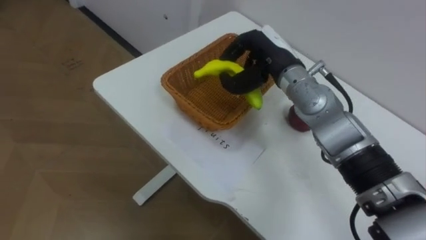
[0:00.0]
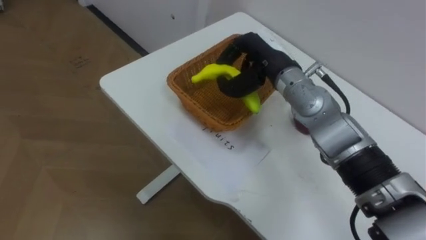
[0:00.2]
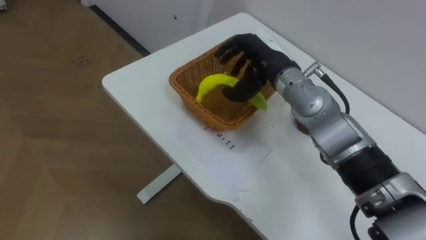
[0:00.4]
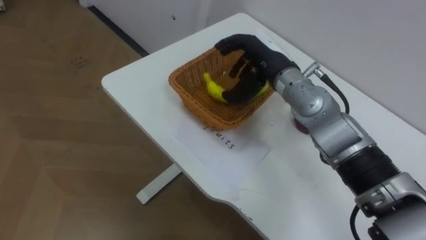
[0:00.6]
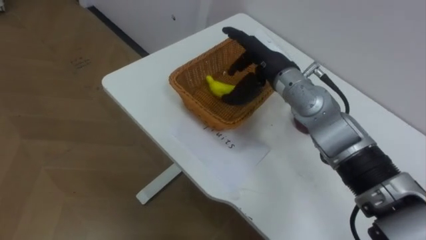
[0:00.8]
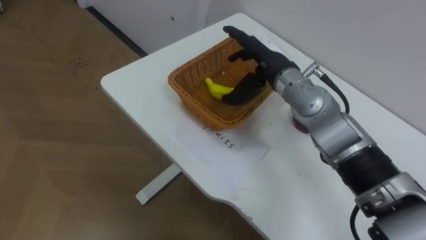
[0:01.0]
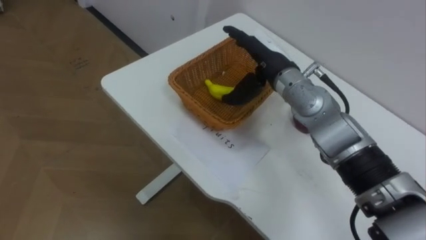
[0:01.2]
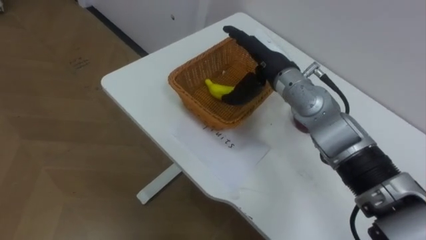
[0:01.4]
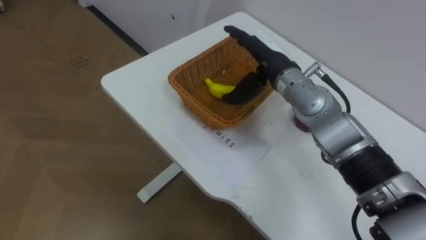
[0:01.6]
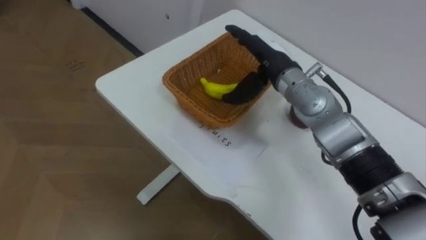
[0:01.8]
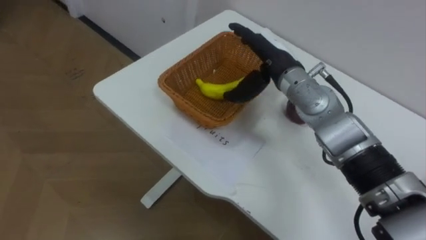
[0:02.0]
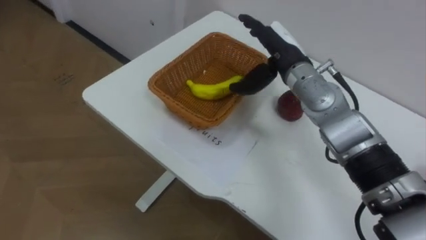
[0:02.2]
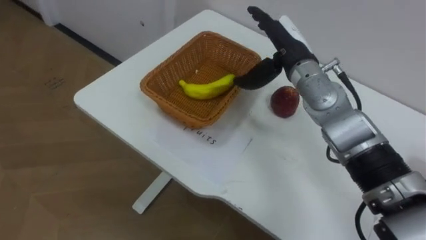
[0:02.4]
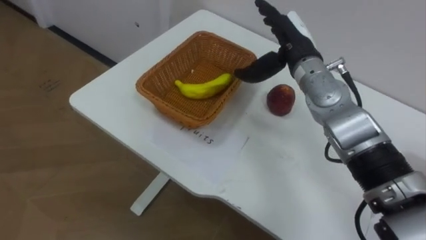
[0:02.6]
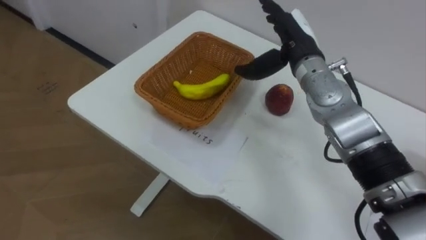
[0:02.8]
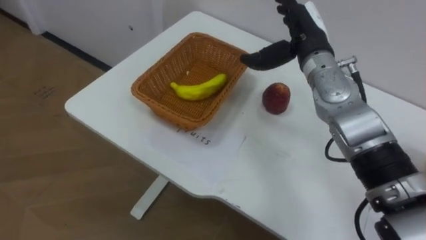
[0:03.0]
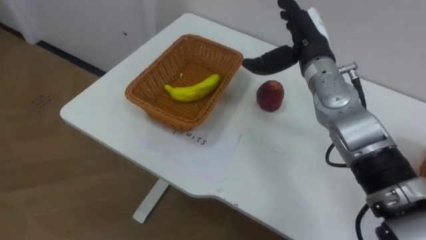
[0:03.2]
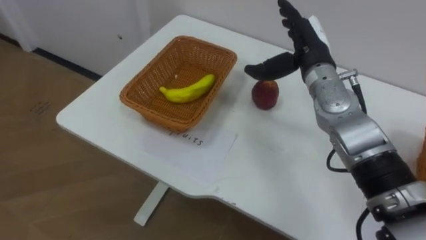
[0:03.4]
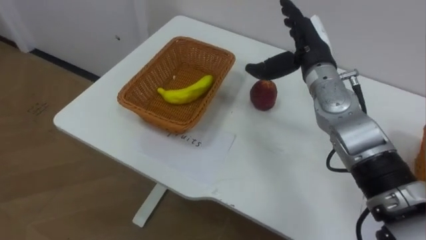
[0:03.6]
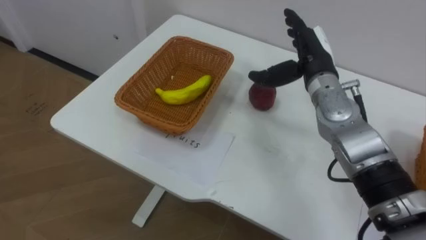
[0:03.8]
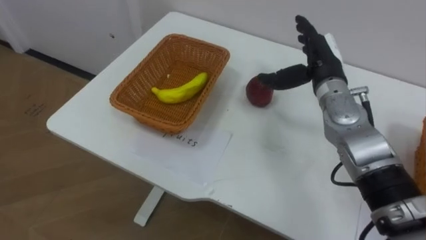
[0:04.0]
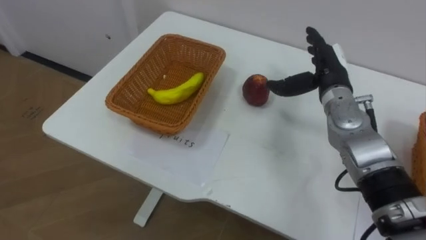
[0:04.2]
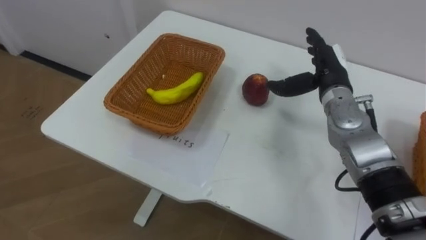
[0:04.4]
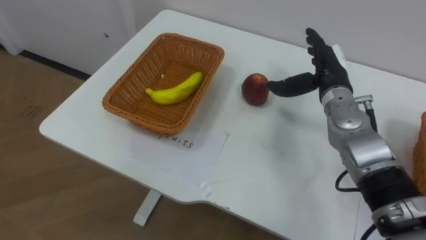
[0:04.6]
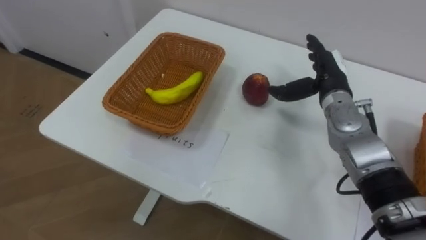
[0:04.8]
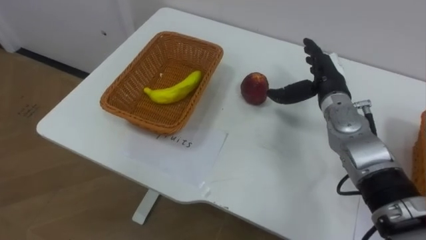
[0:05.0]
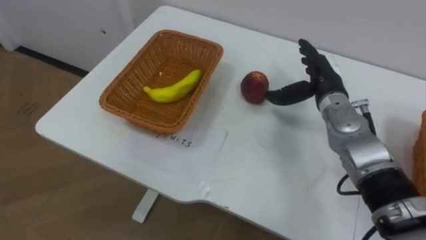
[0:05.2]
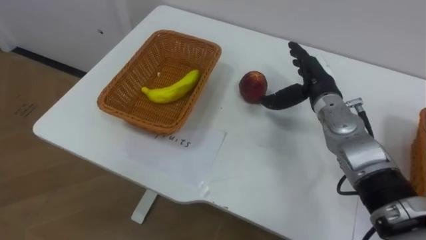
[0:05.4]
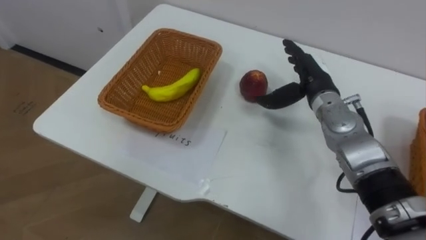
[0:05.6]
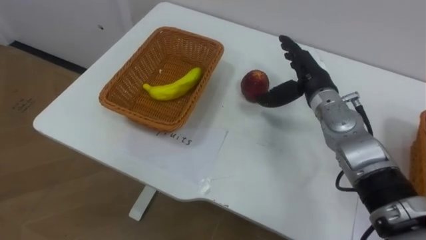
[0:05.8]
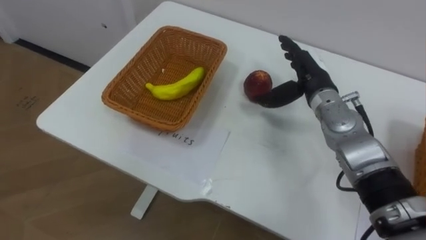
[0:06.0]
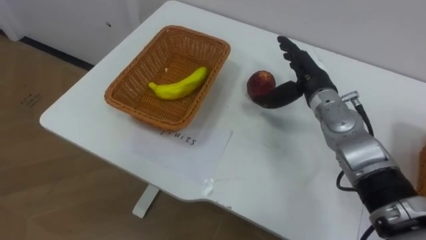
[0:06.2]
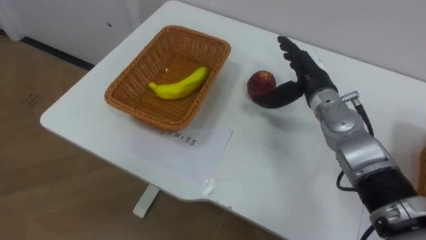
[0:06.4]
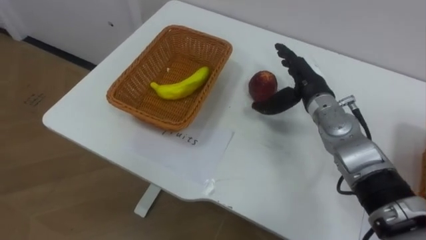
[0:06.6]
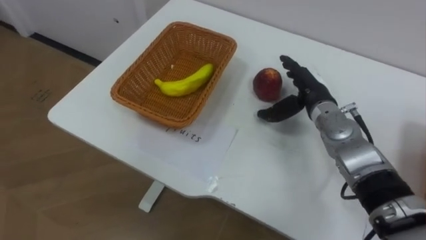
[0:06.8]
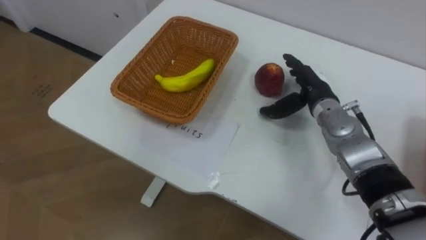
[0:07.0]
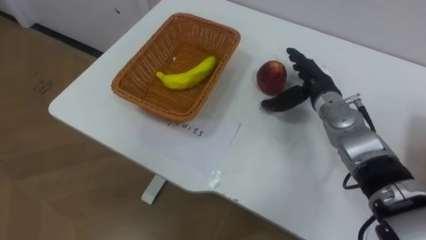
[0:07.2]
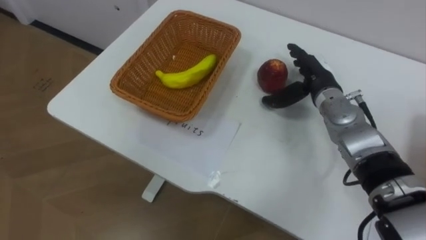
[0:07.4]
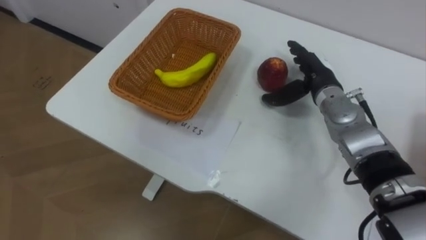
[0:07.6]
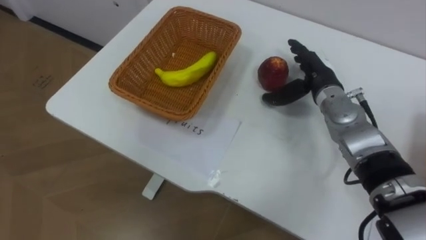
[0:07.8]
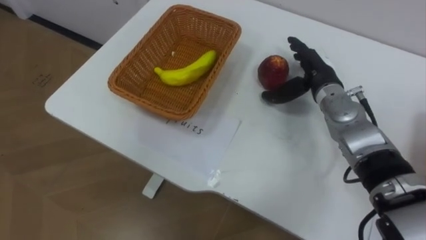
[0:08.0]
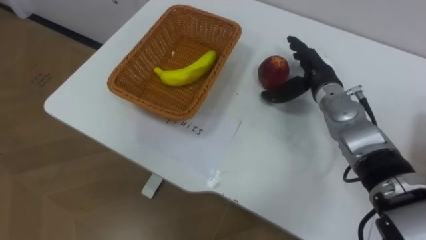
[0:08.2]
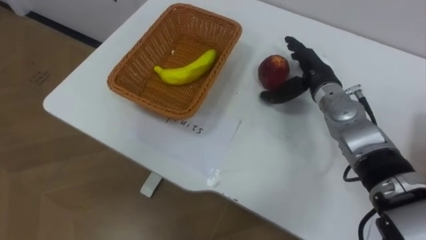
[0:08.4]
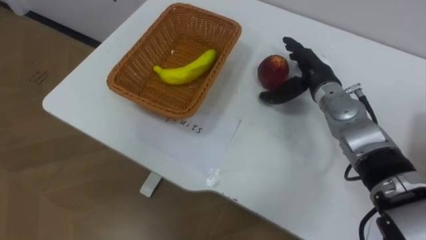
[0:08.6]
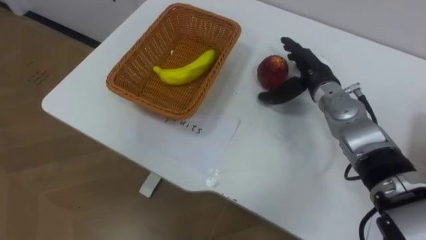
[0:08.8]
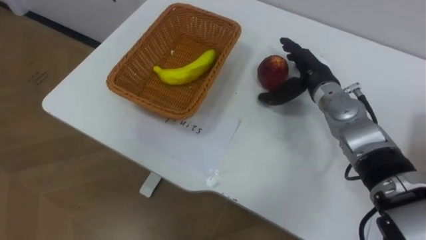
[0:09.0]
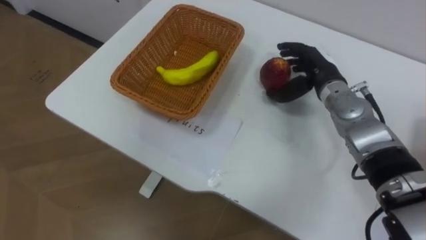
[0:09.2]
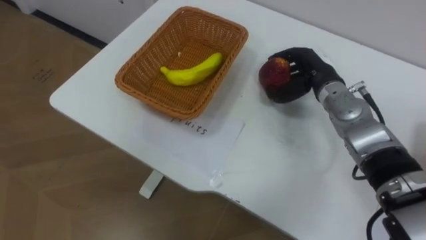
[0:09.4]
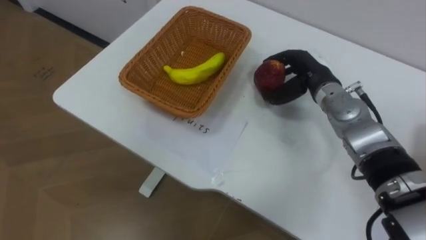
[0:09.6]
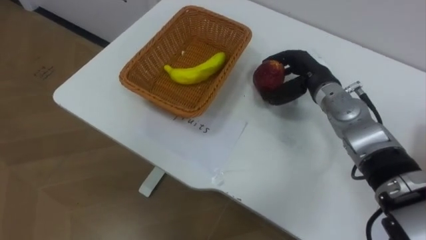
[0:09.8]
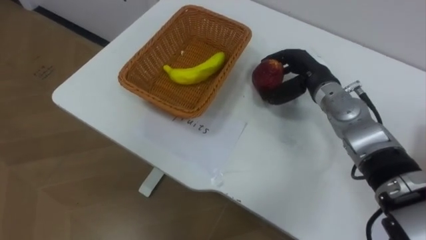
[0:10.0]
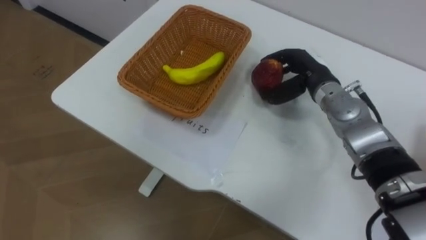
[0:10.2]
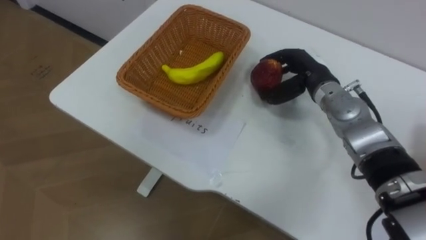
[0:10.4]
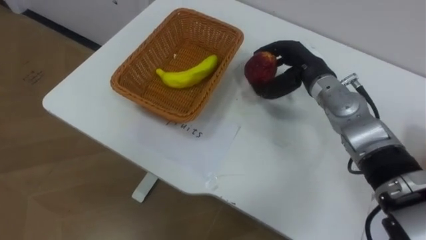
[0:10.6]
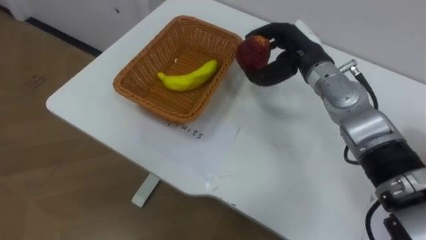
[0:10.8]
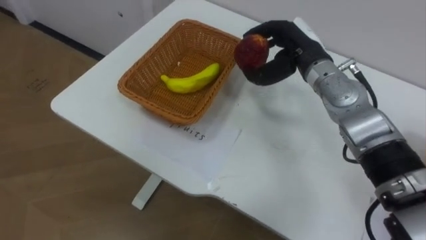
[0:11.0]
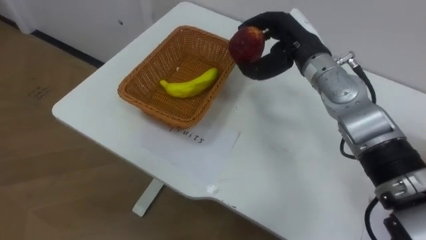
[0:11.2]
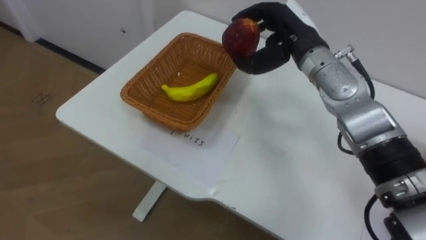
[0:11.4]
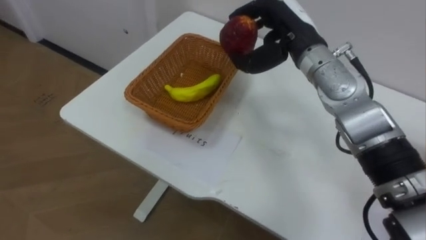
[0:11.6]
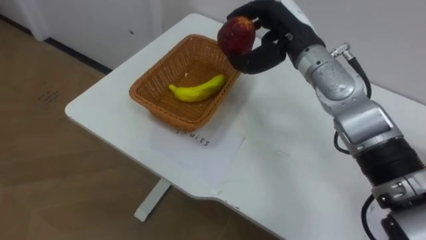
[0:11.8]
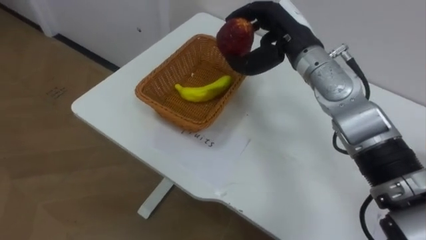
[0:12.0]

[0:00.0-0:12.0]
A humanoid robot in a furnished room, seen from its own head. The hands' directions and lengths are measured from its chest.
Task of the whole recording: Separate the items on the table and place them into the two baskets.
0:00.0 to 0:01.6: The right hand opens.
0:01.6 to 0:03.0: The right hand moves to the right, roughly 5 cm.
0:03.0 to 0:04.4: The right hand is displaced downward and to the right by roughly 10 cm.
0:09.0 to 0:10.4: The right hand closes its fingers.
0:10.4 to 0:12.0: The right hand is displaced upward and to the left by roughly 10 cm.

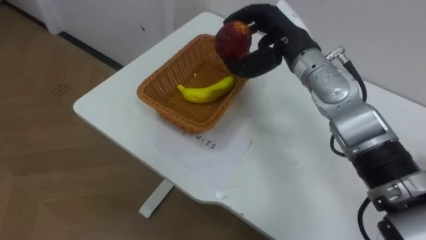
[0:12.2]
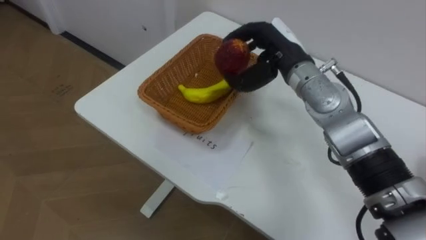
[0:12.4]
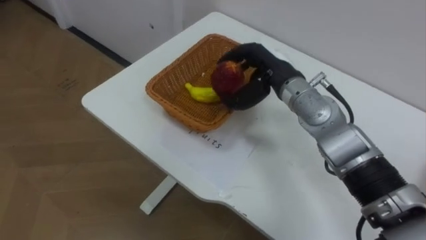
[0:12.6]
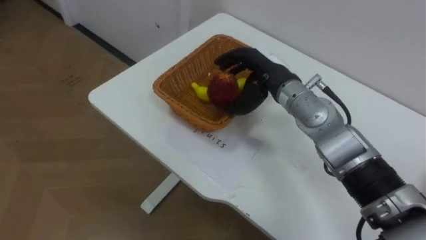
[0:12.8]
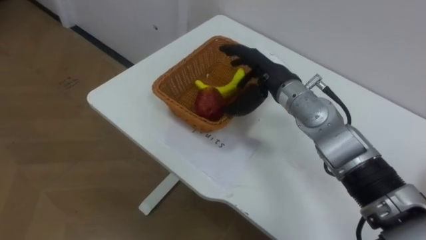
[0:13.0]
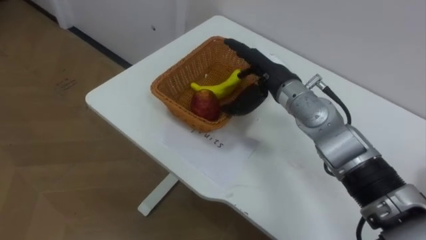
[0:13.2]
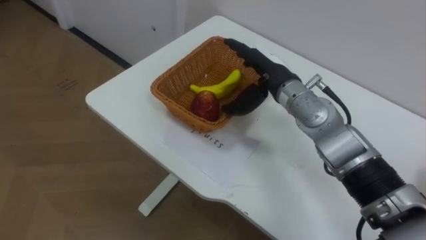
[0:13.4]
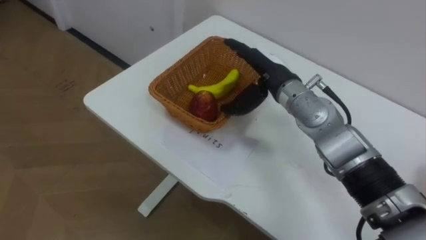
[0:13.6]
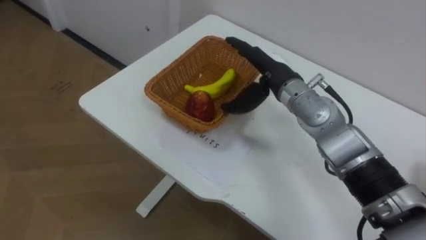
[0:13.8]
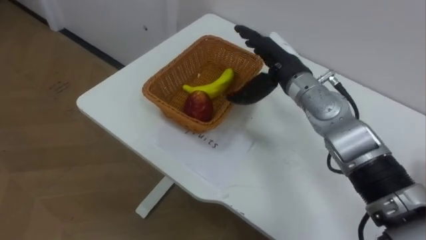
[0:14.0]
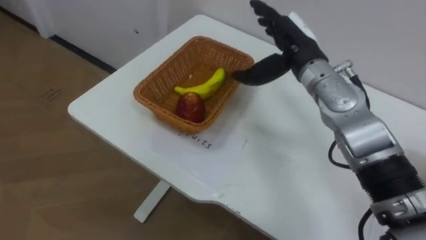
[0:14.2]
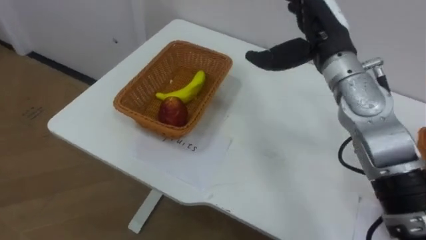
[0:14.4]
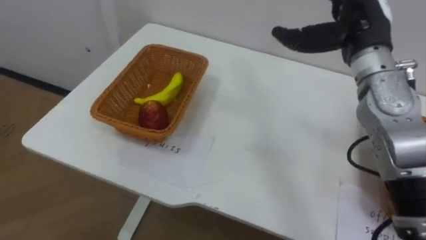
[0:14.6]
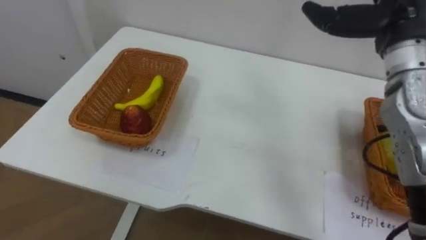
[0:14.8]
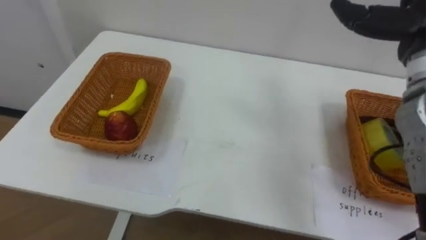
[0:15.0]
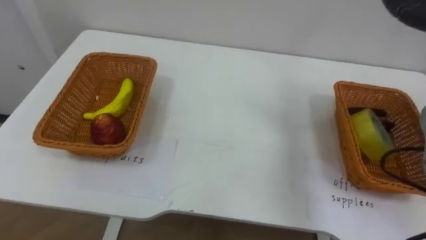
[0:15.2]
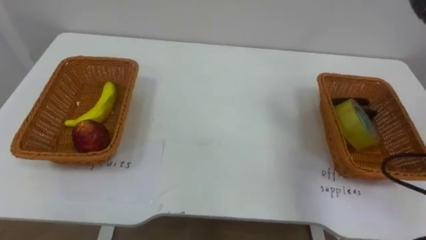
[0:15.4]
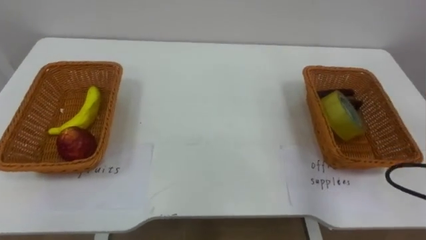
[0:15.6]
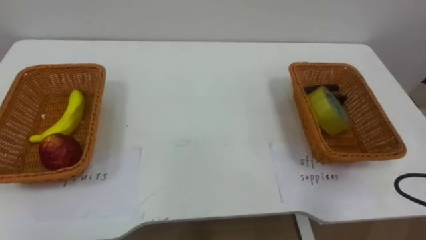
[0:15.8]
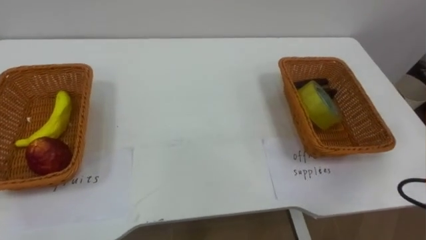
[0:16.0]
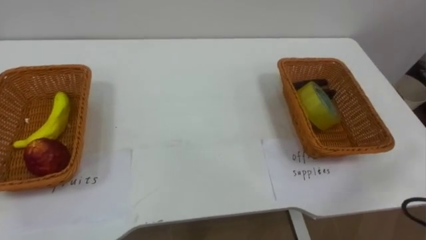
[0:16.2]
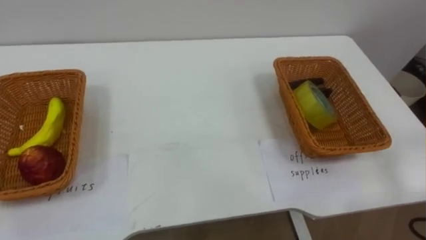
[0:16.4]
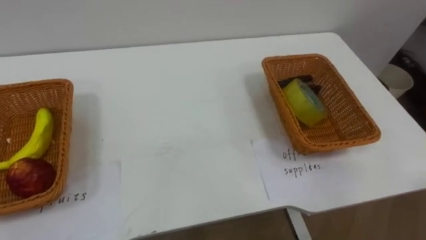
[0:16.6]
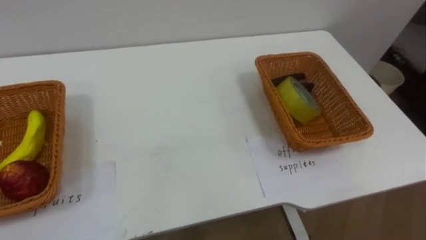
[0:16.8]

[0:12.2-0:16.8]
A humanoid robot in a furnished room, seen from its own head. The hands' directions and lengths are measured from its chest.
Task of the whole recording: Separate the items on the table and place them into the two baskets.
0:12.2 to 0:13.8: The right hand shifts approximately 5 cm downward, and opens its fingers.
